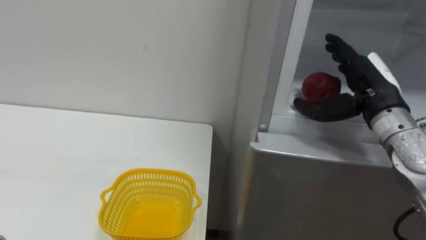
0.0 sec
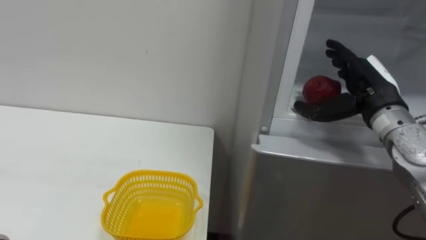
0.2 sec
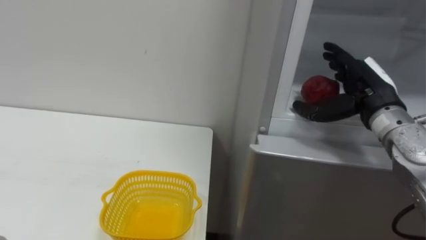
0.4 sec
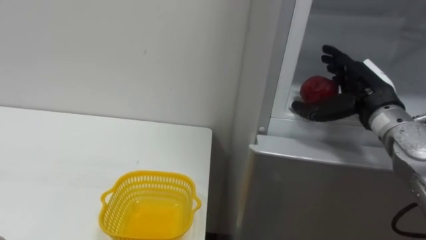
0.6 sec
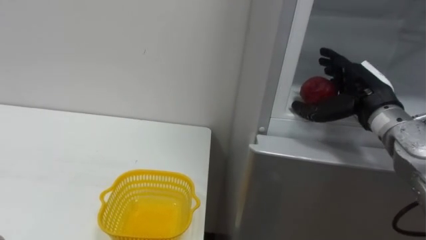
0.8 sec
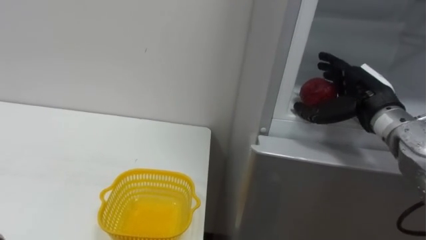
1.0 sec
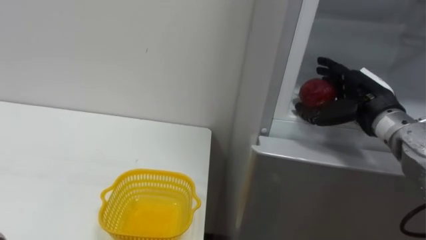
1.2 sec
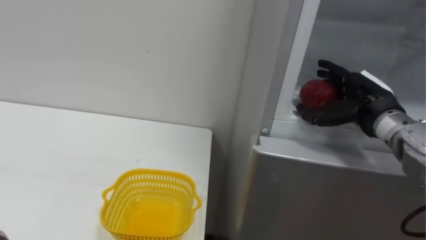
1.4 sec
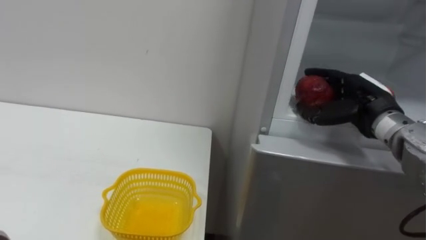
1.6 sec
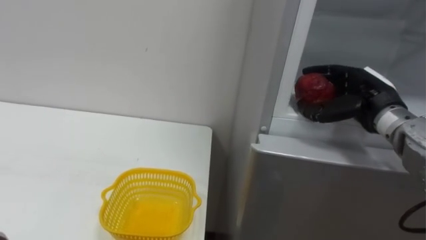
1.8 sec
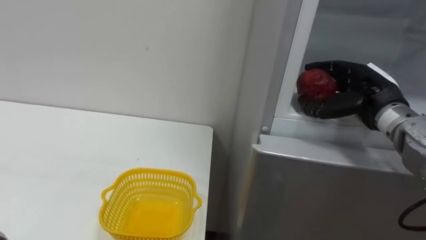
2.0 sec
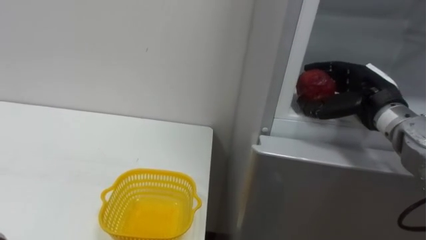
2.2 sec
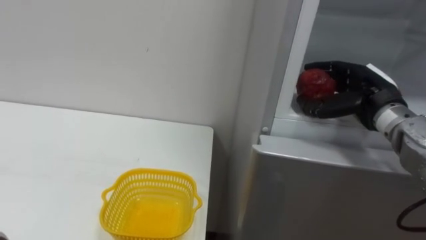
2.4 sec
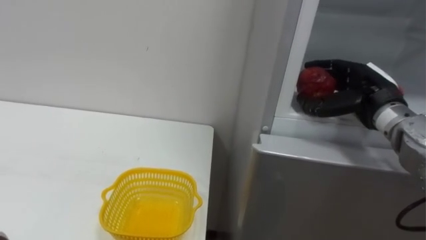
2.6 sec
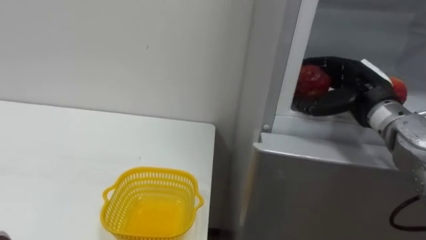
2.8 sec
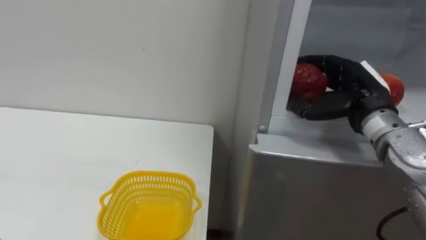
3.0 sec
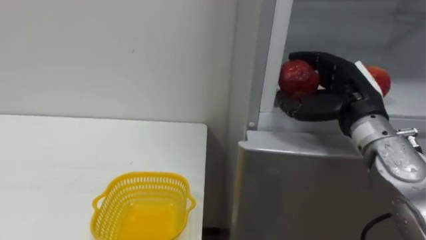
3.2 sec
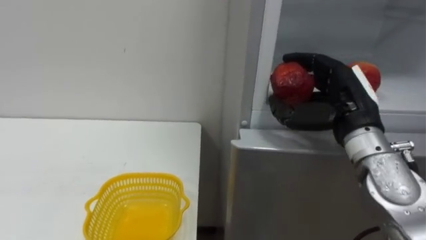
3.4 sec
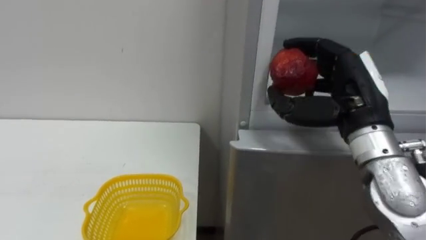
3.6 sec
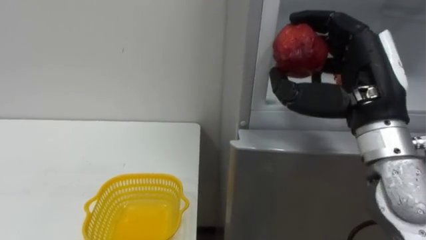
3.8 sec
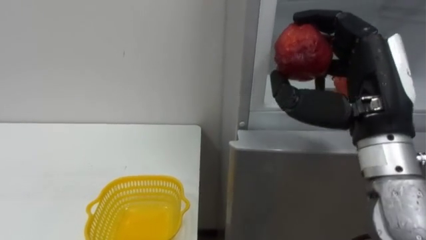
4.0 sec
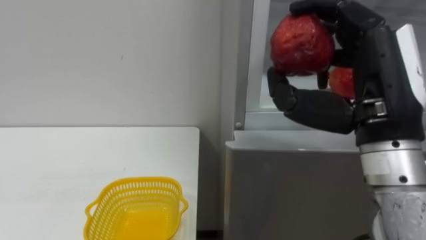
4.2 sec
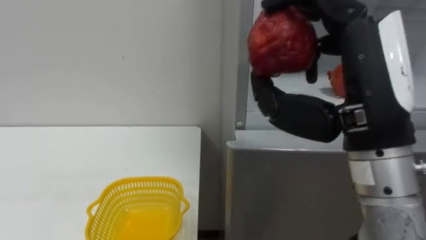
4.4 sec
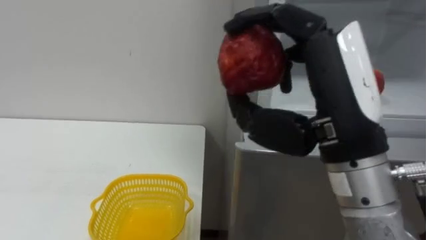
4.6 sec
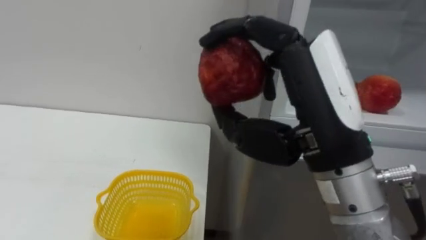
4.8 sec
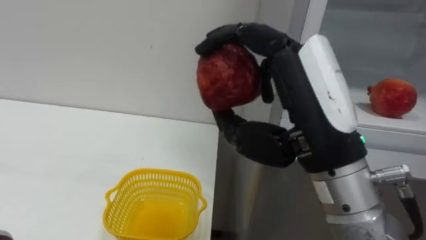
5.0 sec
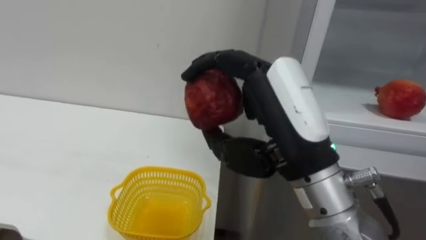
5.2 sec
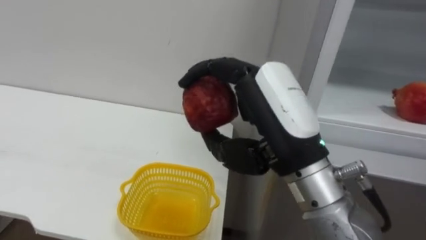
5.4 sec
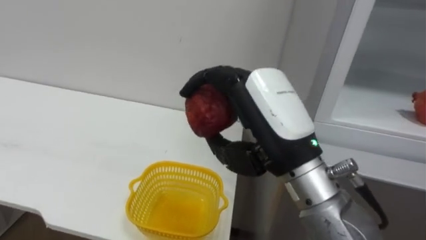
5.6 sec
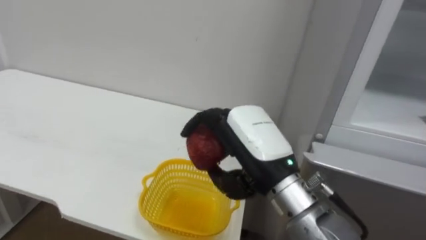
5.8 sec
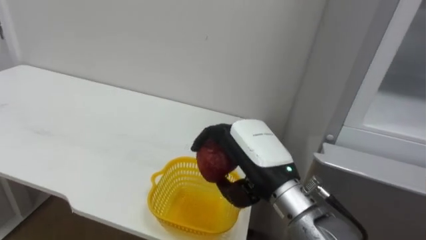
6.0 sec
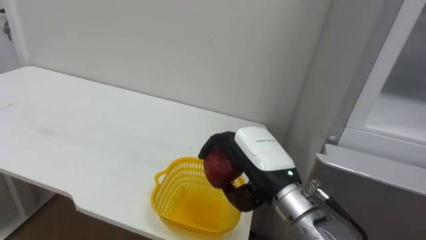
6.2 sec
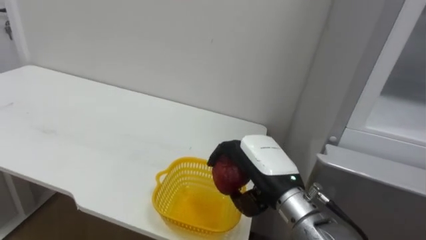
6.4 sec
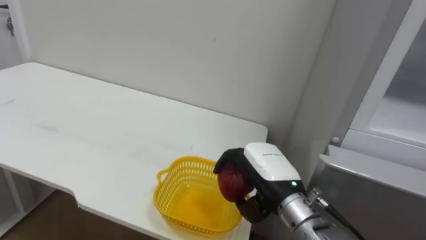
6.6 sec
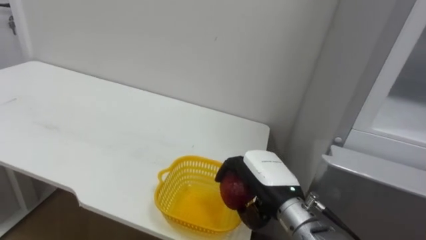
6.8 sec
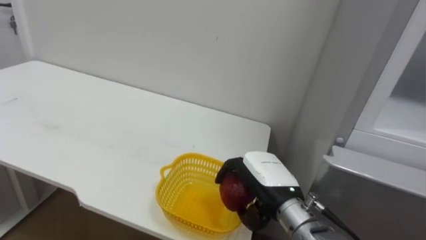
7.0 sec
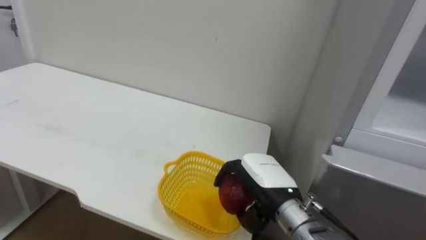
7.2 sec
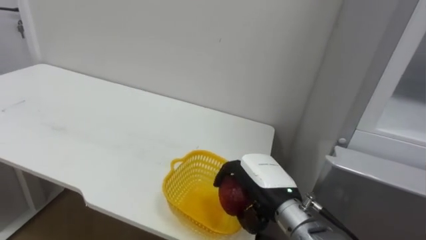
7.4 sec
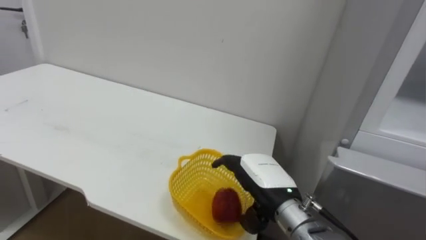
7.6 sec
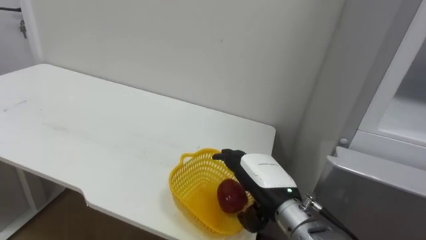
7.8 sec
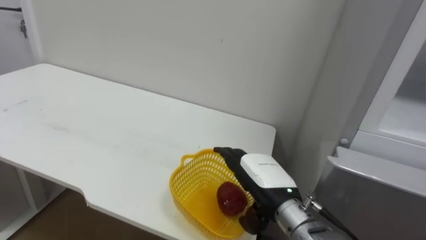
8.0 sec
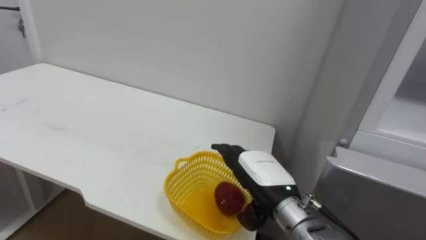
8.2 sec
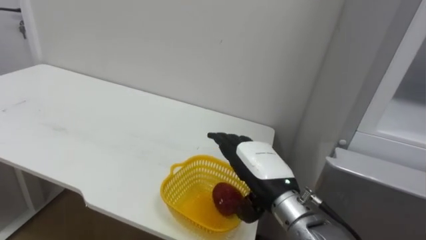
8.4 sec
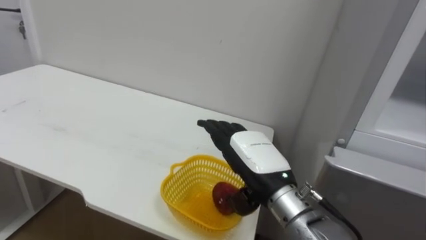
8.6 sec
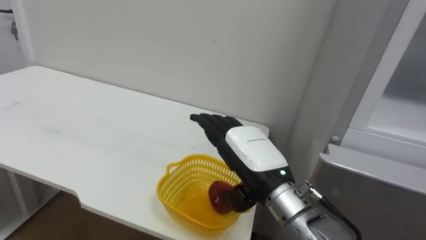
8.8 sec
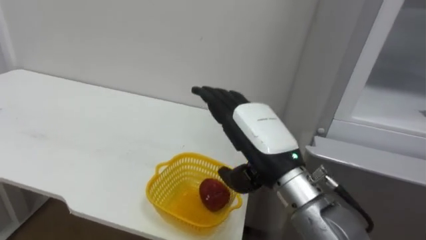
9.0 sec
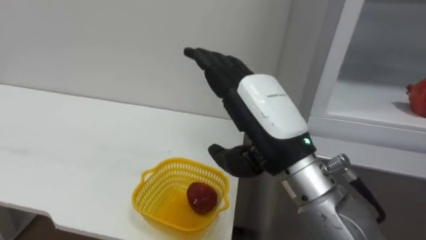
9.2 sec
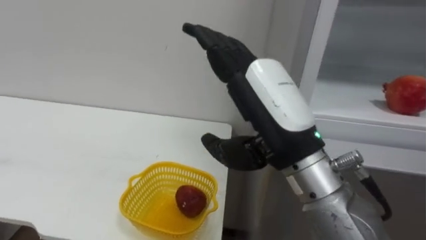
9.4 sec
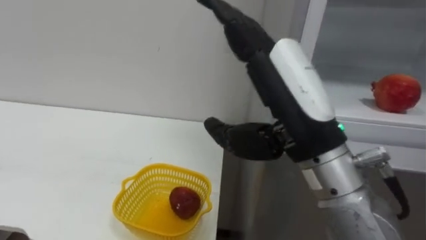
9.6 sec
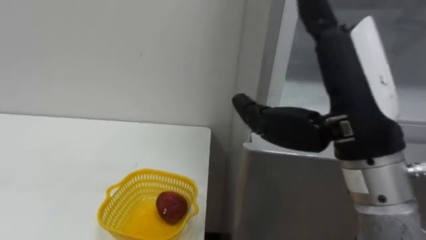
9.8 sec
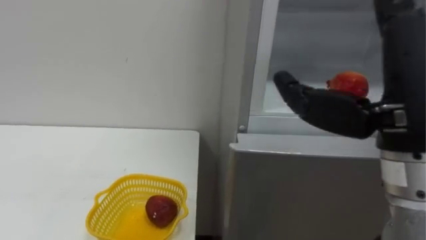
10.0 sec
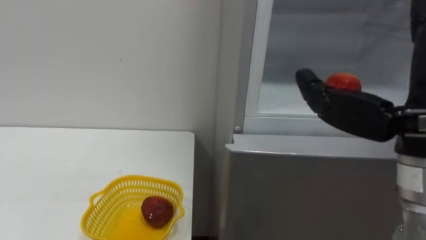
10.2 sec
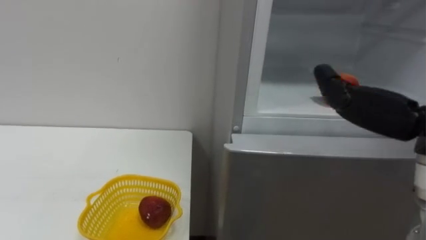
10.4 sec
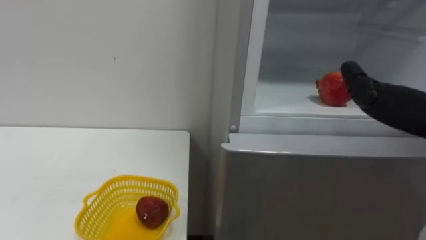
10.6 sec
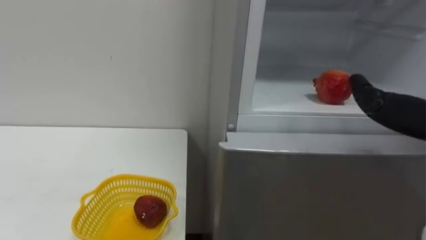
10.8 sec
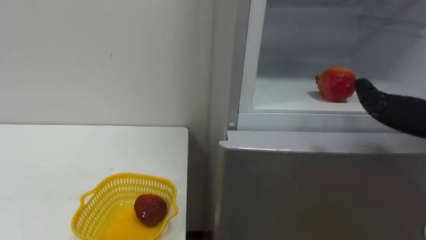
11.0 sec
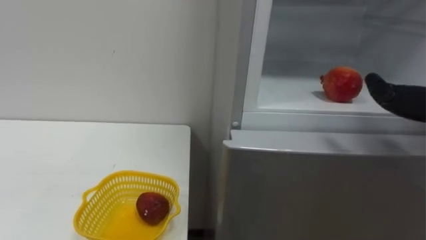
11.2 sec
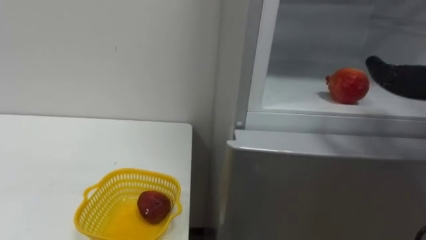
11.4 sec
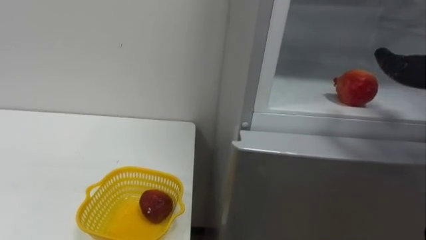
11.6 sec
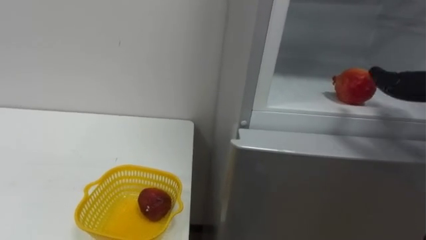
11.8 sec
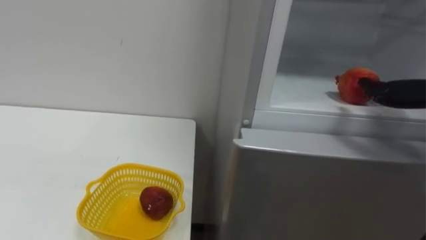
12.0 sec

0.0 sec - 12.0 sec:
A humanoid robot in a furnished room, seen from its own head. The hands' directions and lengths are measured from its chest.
Task of the whole recording: Open the refrigerator door, take out the apple and the pomegranate, place them in the fruit basket on the left, and close the refrigerator door.
3.0 sec - 4.4 sec: The right hand moves backward, upward and to the left, approximately 20 cm.
4.4 sec - 6.0 sec: The right hand travels downward, to the left and forward by approximately 15 cm.
6.0 sec - 7.6 sec: The right hand is displaced downward by approximately 10 cm.
7.6 sec - 9.0 sec: The right hand travels upward by about 10 cm, and opens its fingers.

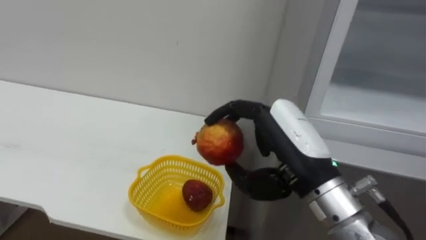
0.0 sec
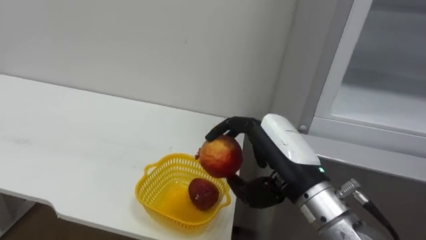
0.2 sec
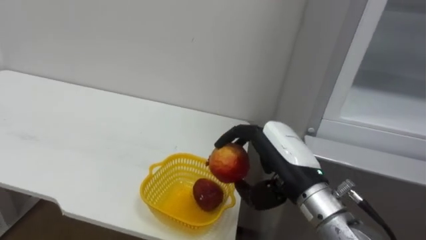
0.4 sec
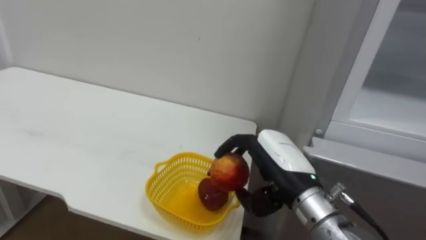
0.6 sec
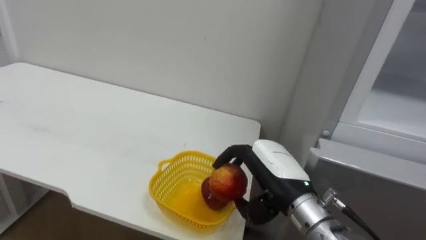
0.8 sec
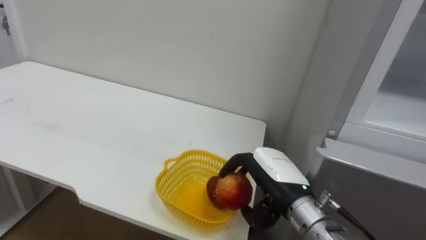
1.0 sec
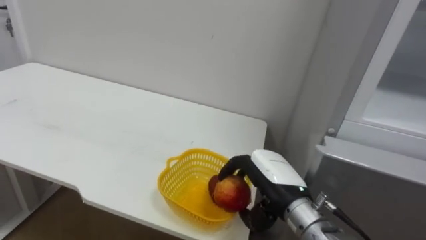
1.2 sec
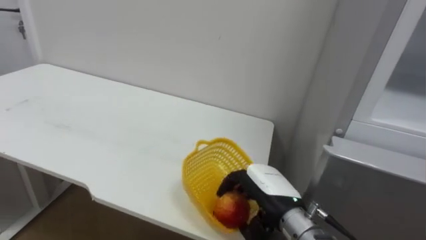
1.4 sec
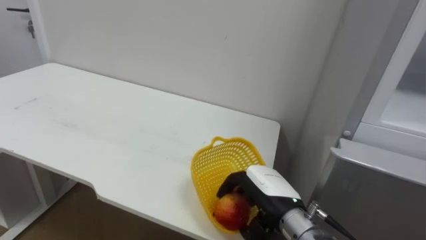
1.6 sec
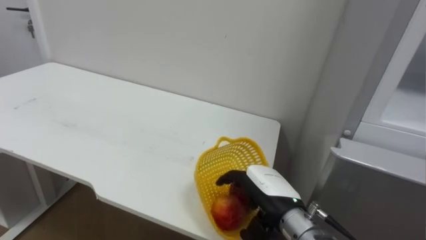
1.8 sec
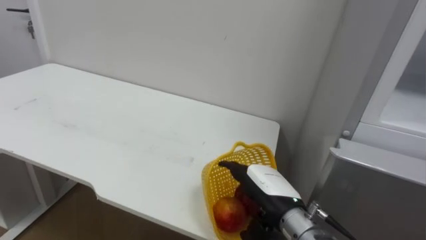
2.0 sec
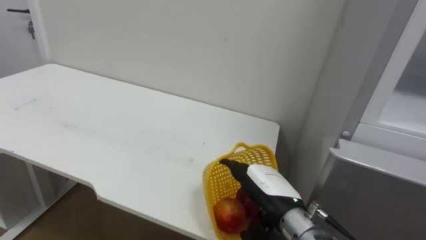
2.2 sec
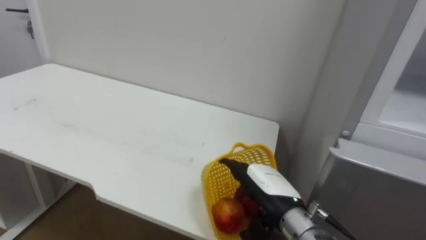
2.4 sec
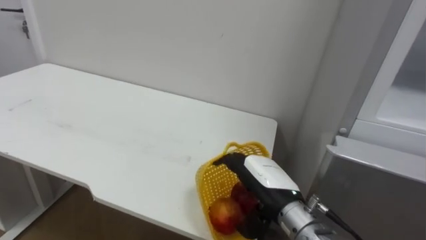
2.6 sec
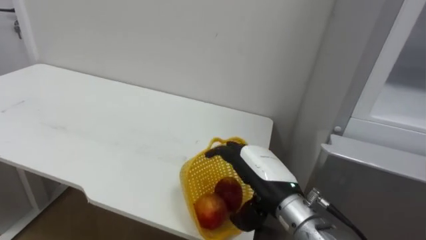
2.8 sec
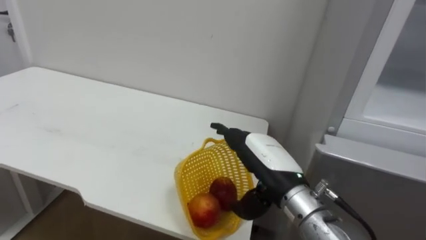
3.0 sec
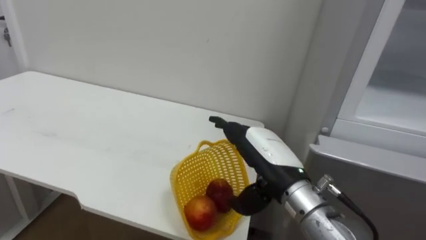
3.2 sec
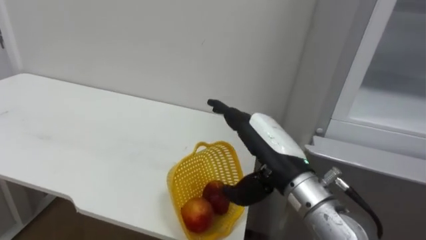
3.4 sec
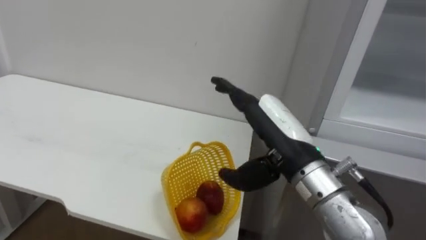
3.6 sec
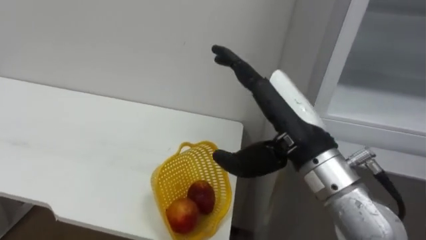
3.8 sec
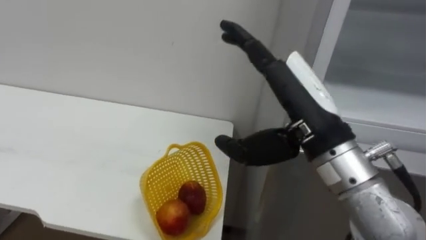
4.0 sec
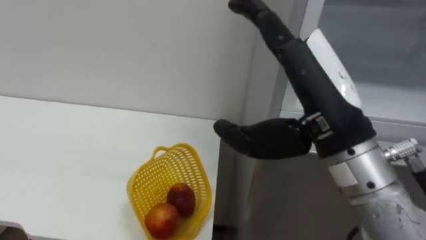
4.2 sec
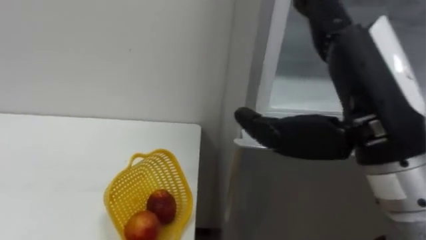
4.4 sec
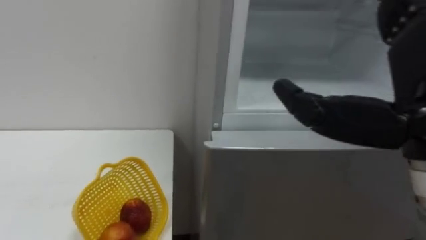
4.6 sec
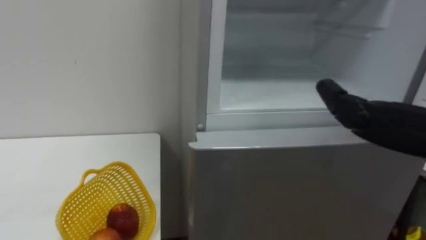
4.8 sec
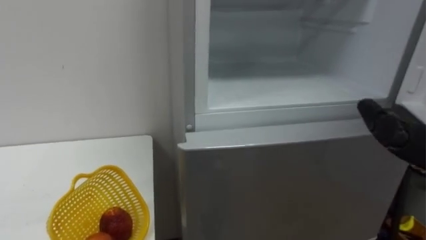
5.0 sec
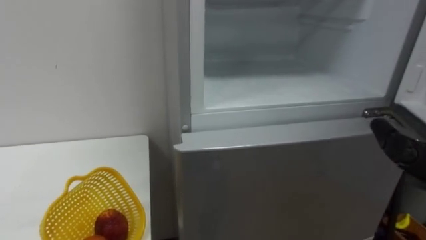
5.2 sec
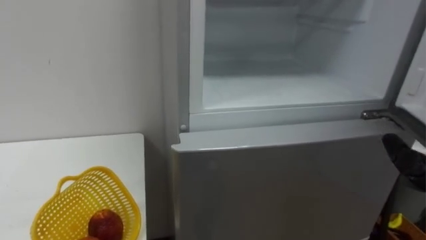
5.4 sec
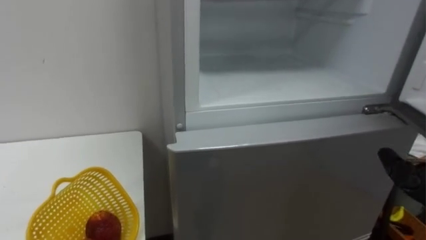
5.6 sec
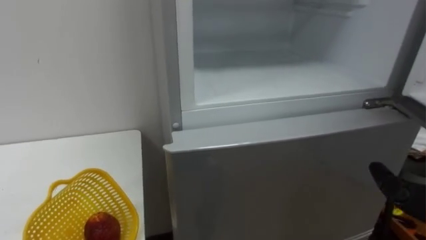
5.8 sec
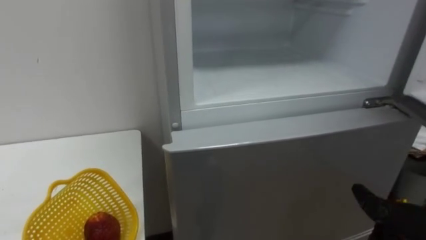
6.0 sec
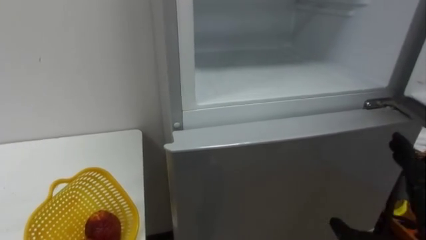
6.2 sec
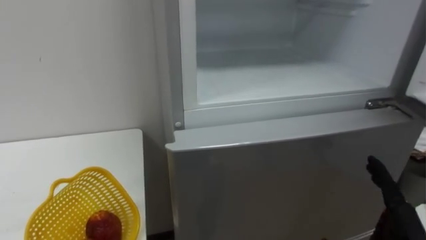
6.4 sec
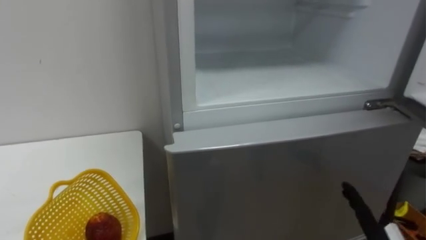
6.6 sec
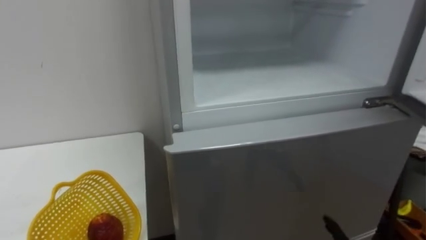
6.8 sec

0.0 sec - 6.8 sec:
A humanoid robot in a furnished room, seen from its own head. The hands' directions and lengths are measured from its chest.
Task of the whole recording: Open the refrigerator door, take out the apple and the pomegranate, place them in the fruit basket on the left, and close the refrigerator door.
0.0 sec - 1.4 sec: The right hand heads downward and forward, covering approximately 15 cm.
1.4 sec - 2.8 sec: The right hand opens.
2.8 sec - 4.0 sec: The right hand shifts some 15 cm upward.
